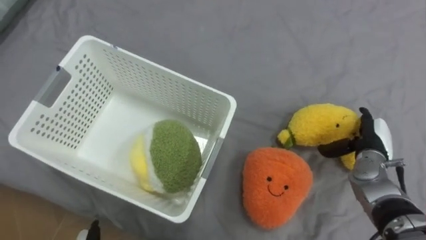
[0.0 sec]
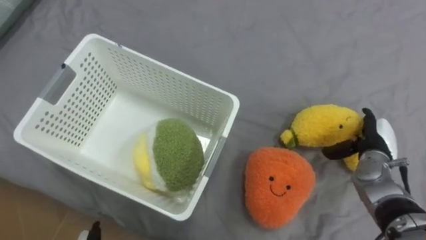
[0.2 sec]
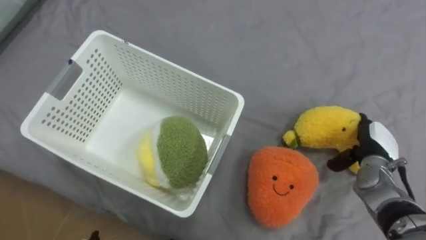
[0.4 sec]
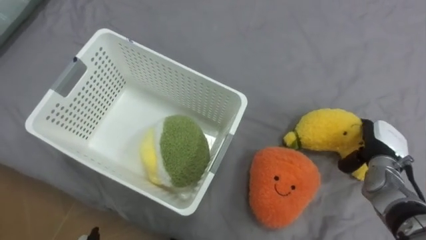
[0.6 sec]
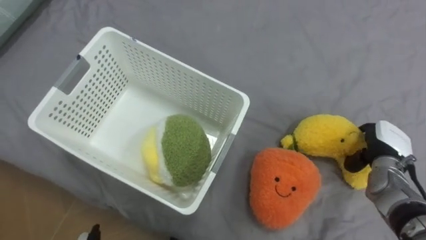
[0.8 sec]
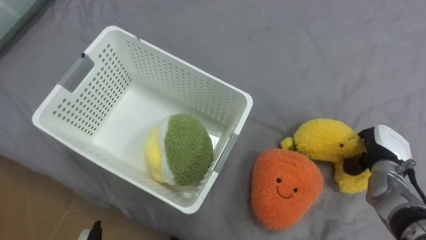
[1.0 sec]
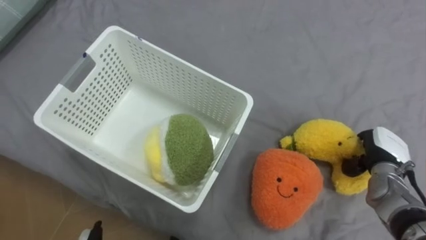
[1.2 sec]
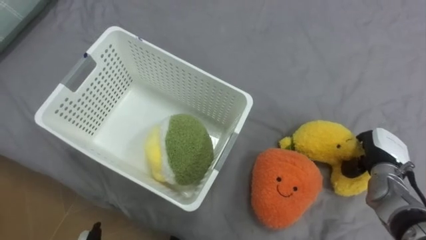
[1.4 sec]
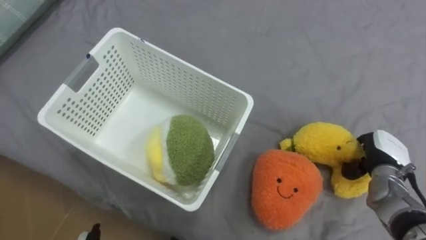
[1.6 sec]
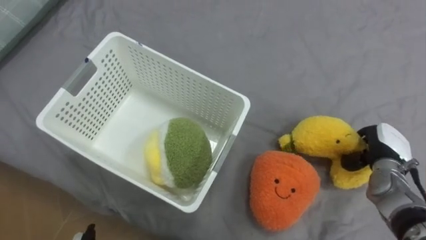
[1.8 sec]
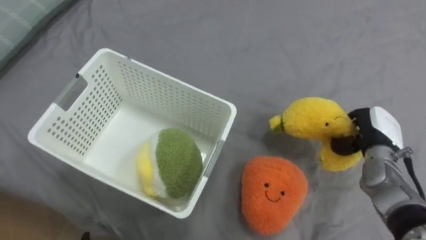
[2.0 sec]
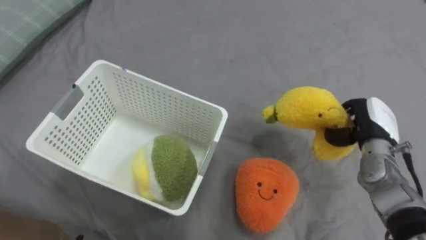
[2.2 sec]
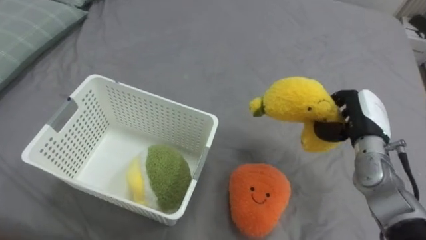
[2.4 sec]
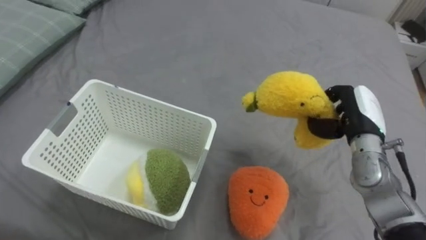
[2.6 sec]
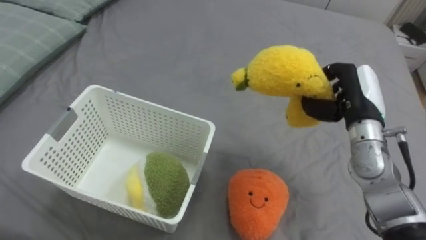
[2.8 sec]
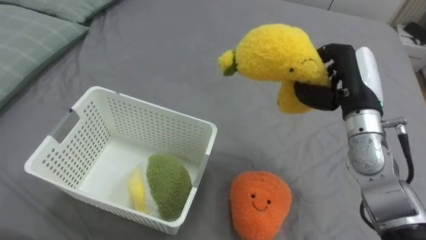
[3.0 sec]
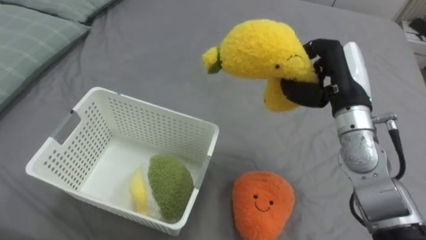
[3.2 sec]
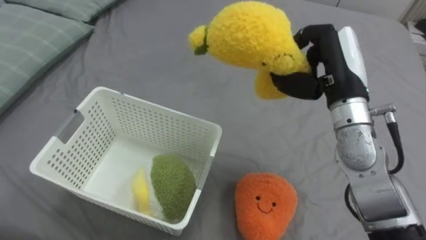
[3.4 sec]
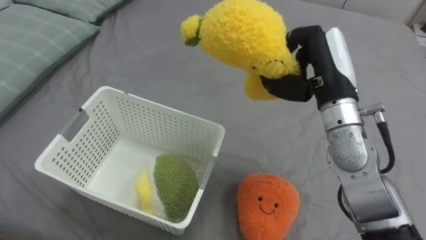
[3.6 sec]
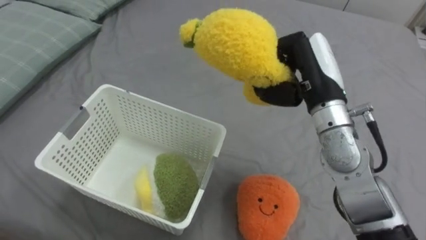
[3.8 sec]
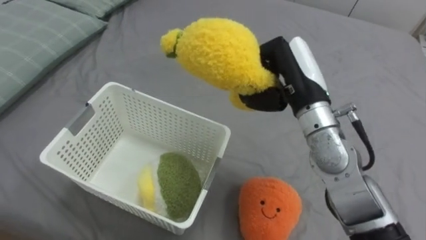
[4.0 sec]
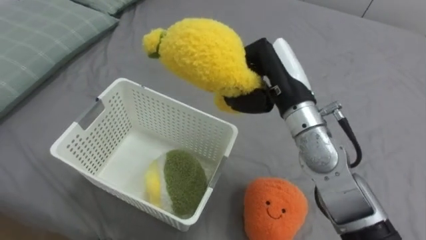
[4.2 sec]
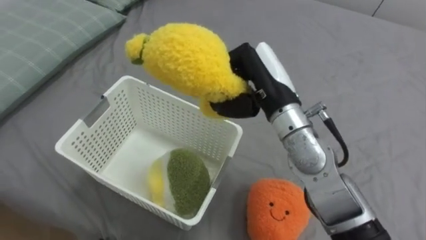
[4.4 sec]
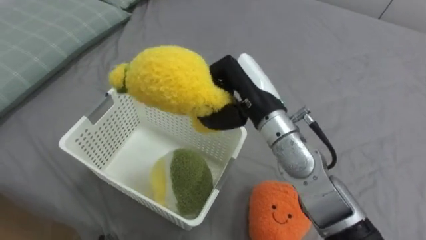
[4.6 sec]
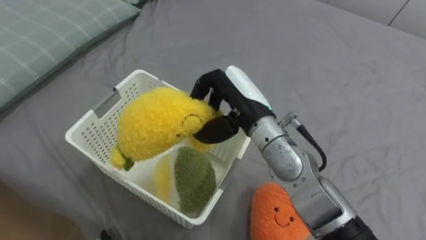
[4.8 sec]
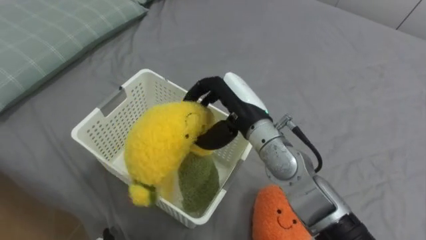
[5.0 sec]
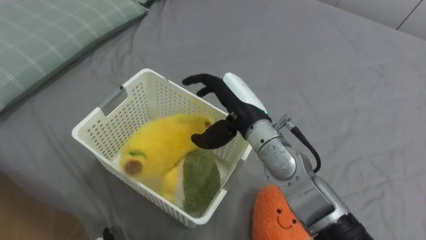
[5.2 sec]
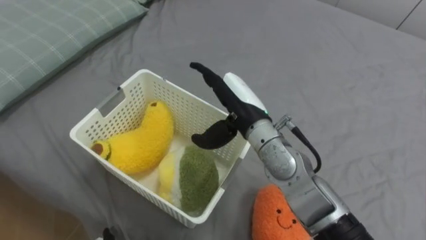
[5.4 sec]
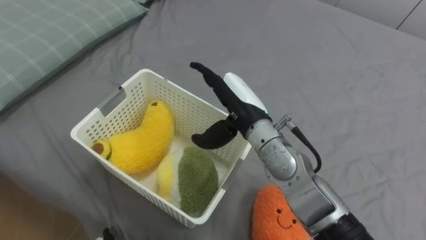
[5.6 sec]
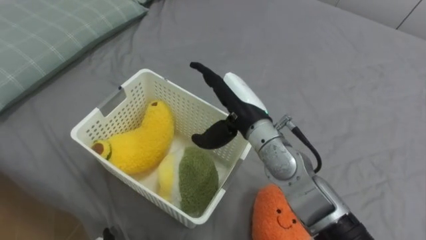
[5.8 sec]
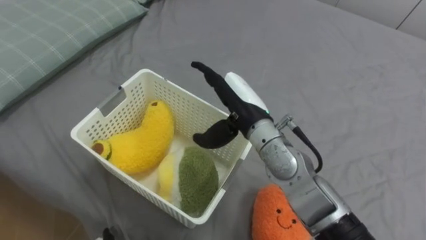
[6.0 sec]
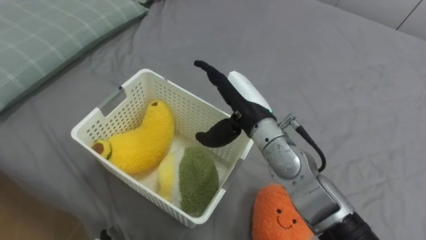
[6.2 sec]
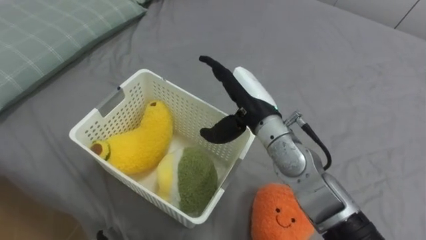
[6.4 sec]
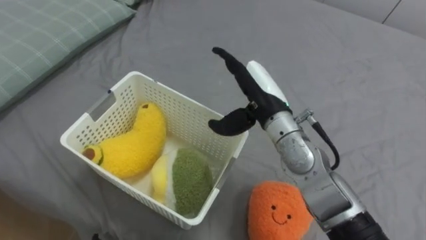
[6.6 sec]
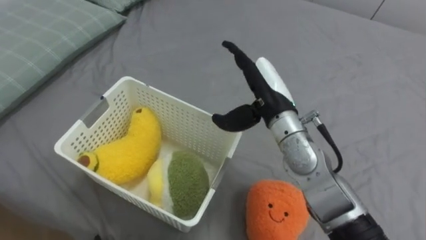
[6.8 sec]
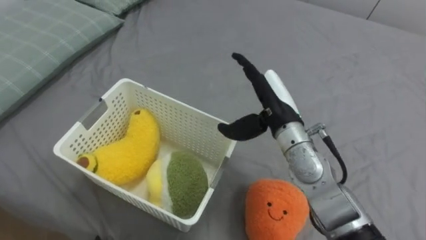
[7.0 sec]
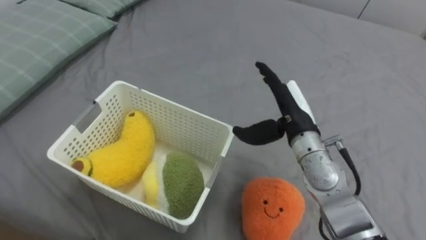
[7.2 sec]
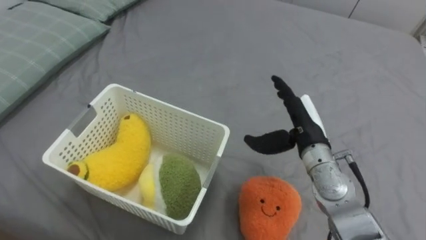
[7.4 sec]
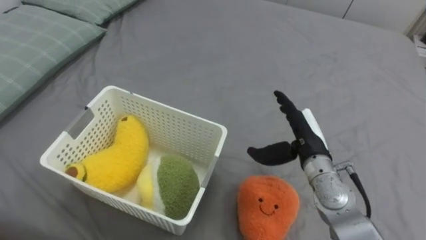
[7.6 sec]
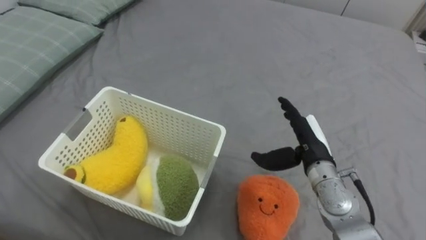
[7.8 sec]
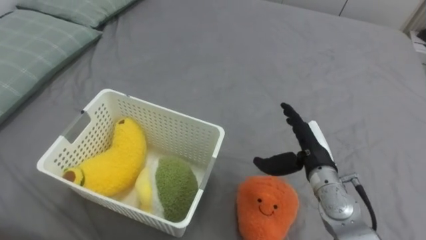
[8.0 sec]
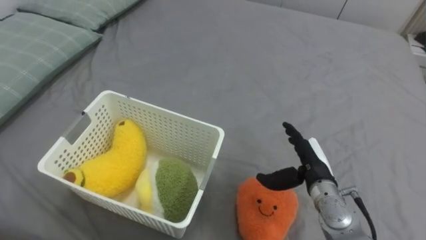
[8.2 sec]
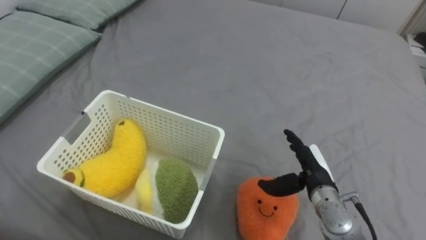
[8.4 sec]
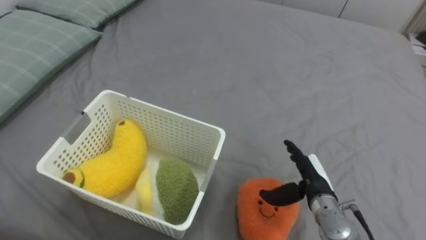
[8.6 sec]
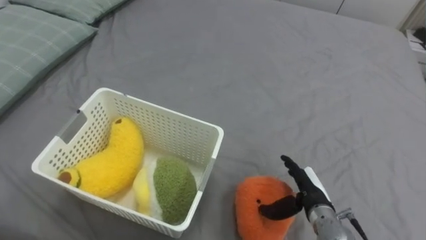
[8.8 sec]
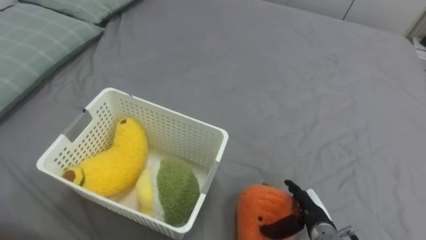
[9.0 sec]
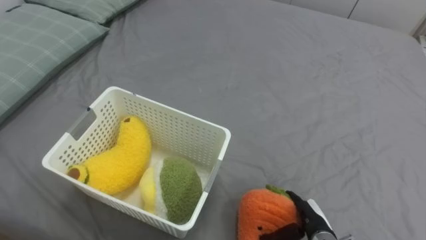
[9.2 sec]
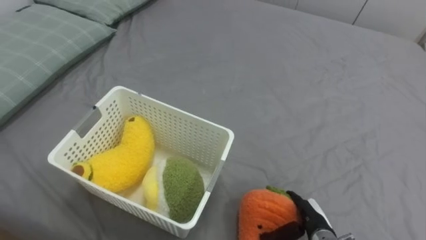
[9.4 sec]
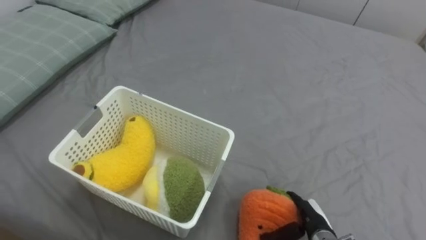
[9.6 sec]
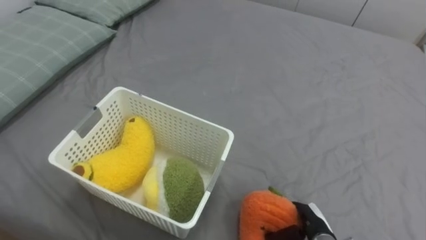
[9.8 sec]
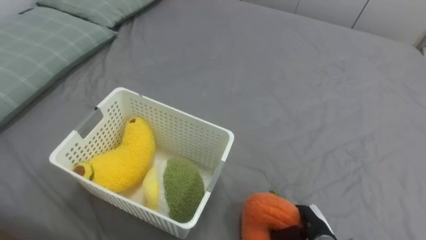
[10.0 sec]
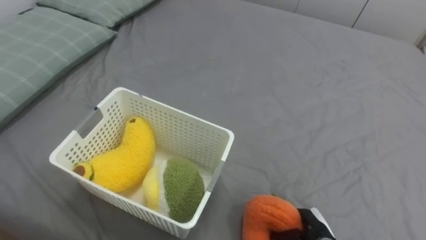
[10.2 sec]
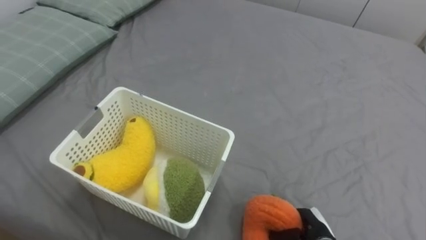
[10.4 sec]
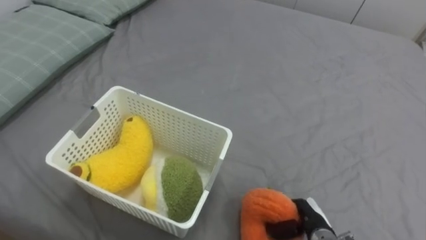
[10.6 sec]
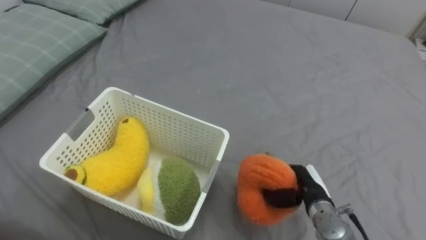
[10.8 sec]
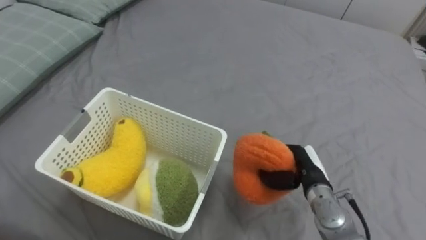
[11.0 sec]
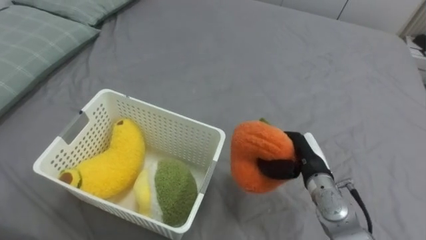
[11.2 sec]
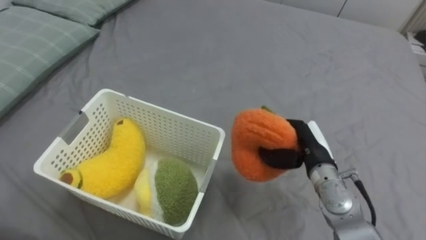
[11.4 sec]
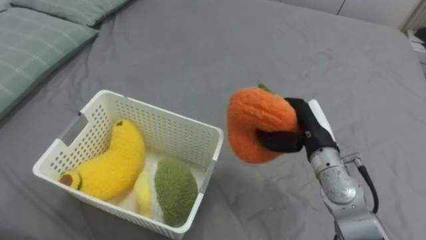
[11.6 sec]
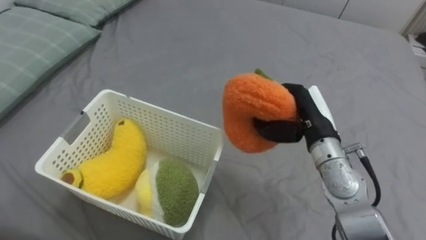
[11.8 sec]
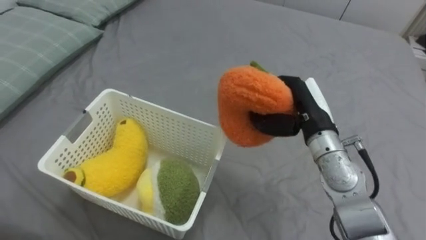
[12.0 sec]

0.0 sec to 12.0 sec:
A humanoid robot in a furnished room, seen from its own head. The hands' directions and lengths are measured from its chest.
Task of the whole recording: Put the toys on the bed into the basket on the left.
0.0 sec to 1.6 sec: The right hand closes its fingers.
1.6 sec to 3.0 sec: The right hand goes roughly 20 cm upward and to the left.
3.0 sec to 4.4 sec: The right hand goes approximately 15 cm to the left.
4.4 sec to 6.0 sec: The right hand travels downward by some 5 cm, and opens.
6.0 sec to 7.6 sec: The right hand goes approximately 15 cm to the right and downward.
7.6 sec to 9.0 sec: The right hand travels downward and backward by about 20 cm.
9.0 sec to 10.4 sec: The right hand closes its fingers.
10.4 sec to 12.0 sec: The right hand travels upward and forward by some 30 cm.

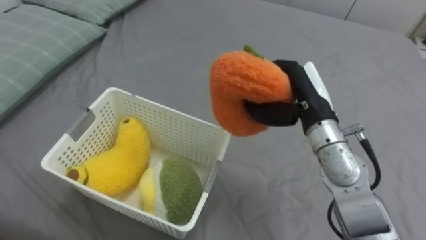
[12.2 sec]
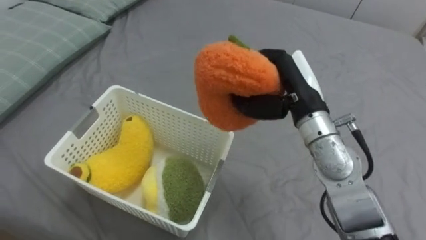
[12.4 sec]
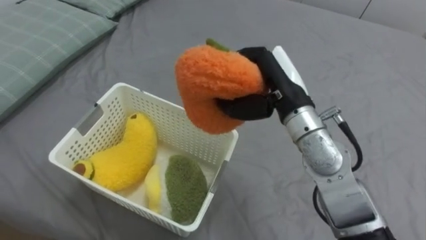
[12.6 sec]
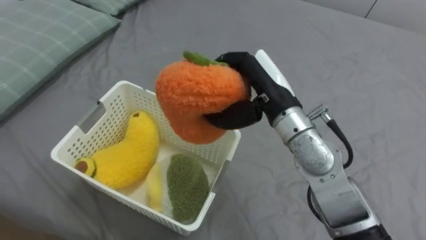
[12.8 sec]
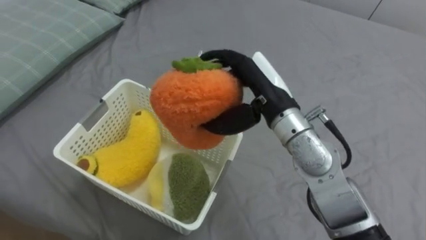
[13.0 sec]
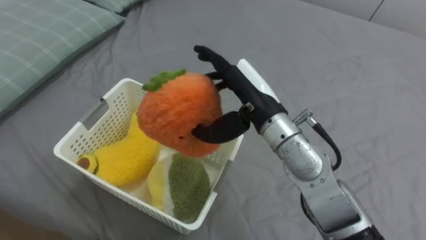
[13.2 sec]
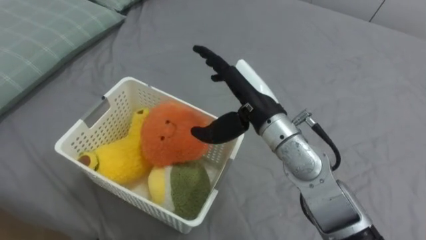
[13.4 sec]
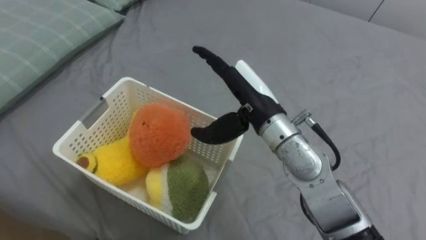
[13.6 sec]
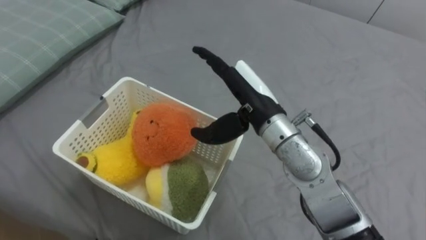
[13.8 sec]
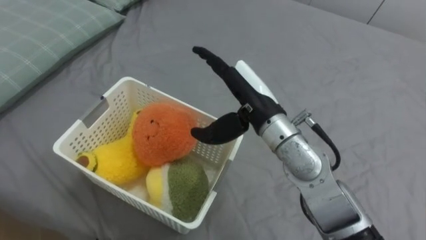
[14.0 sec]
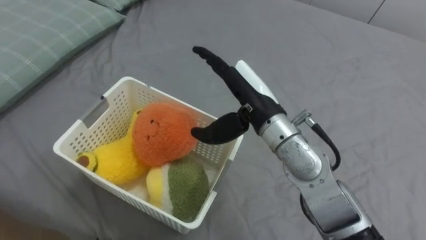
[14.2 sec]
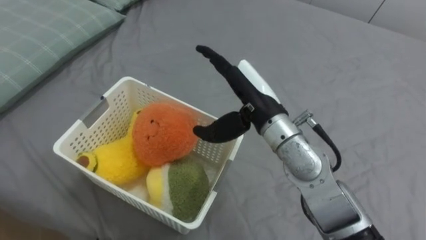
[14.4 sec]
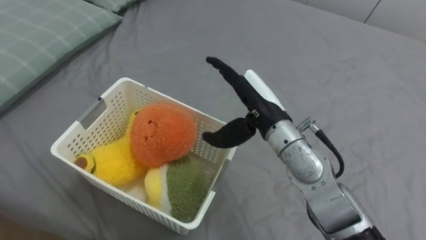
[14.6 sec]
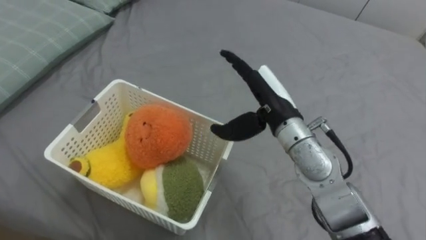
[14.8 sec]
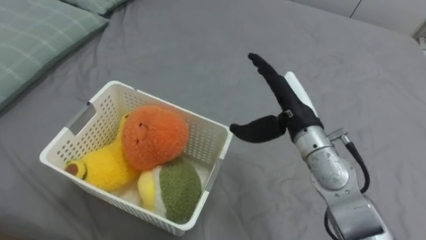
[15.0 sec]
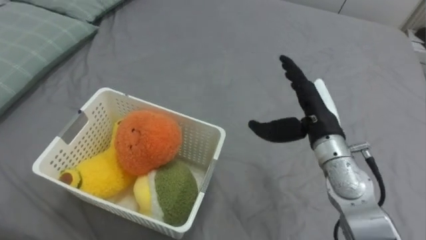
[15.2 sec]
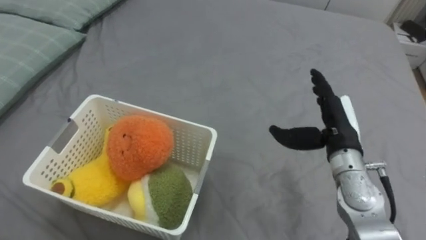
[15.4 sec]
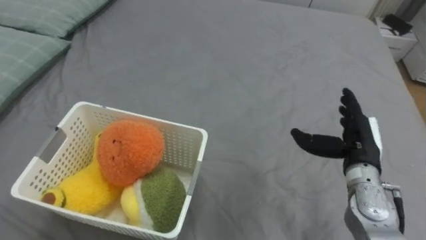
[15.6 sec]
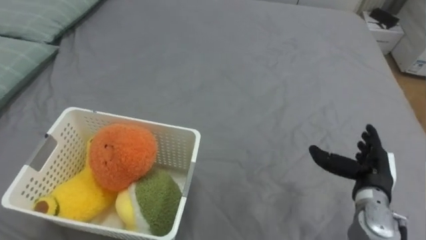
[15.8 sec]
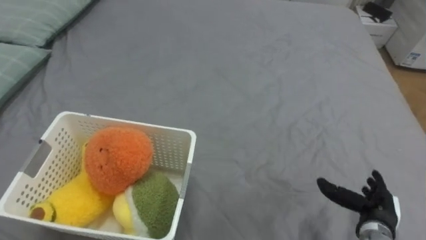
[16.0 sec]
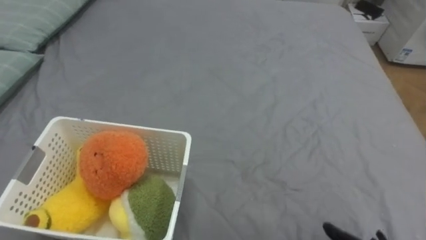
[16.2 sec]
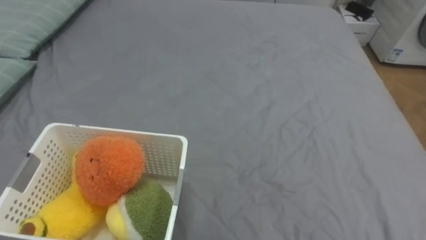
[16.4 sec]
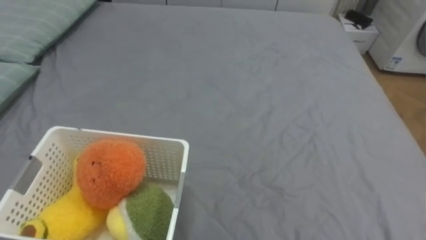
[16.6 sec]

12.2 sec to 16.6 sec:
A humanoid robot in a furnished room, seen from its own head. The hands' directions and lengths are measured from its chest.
Task of the whole recording: Put the toys on the bed into the basket on the left.
12.2 sec to 13.6 sec: The right hand shifts about 10 cm to the left, and opens up.
13.6 sec to 15.2 sec: The right hand shifts about 10 cm to the right.
